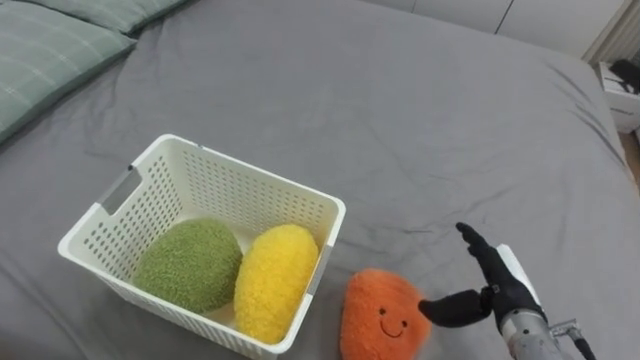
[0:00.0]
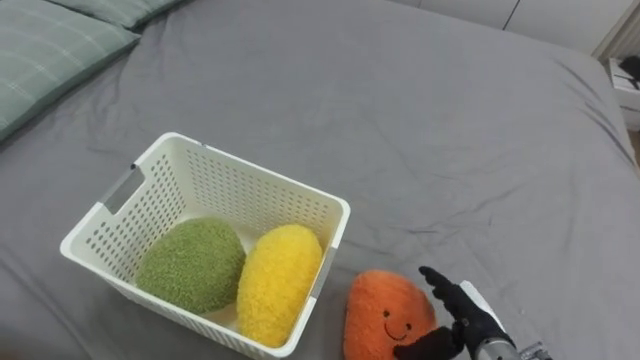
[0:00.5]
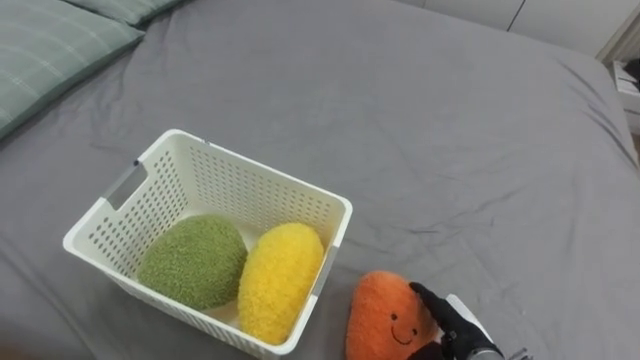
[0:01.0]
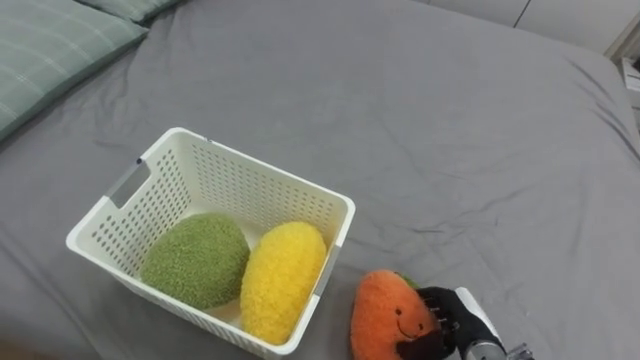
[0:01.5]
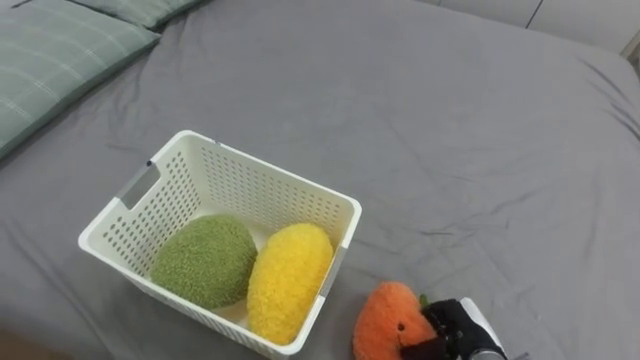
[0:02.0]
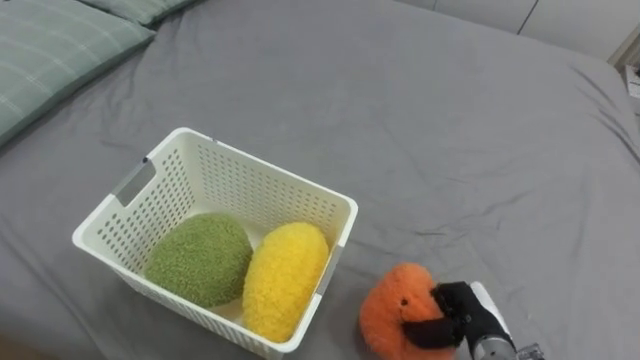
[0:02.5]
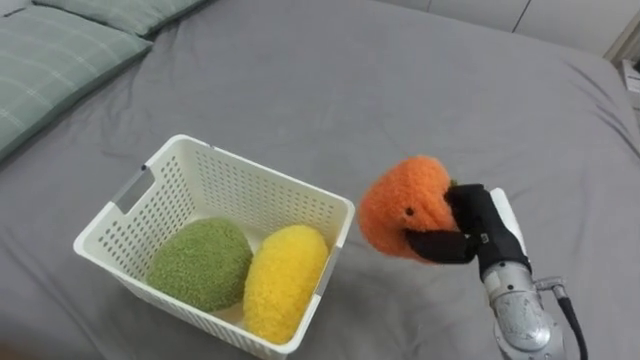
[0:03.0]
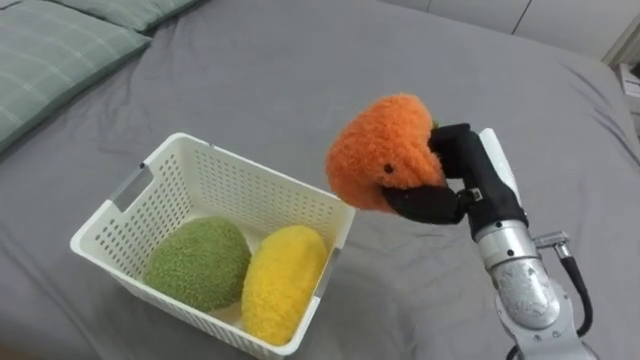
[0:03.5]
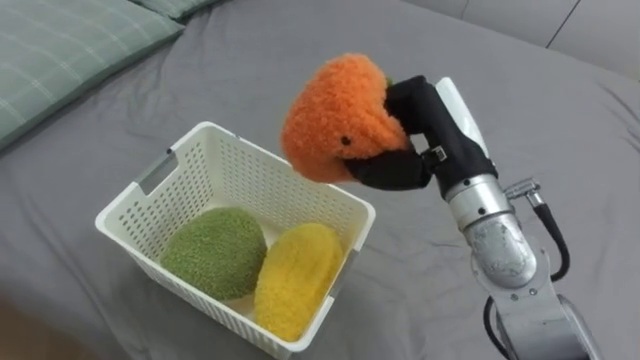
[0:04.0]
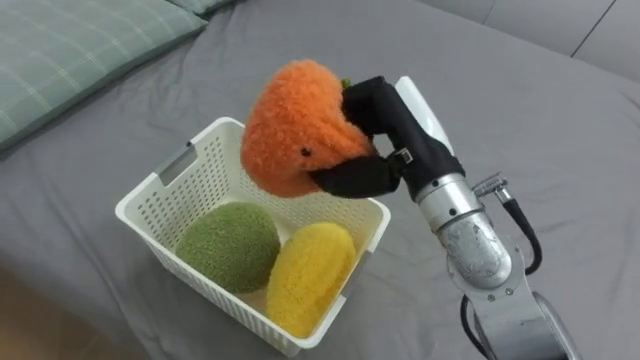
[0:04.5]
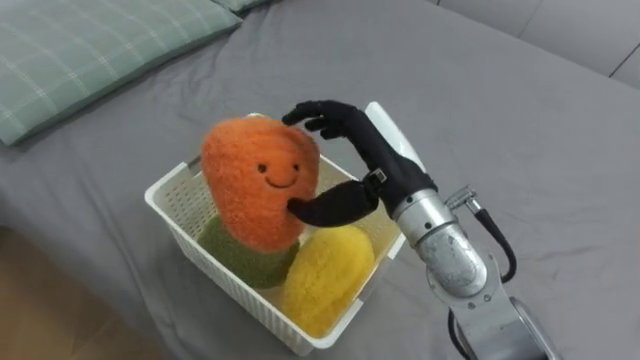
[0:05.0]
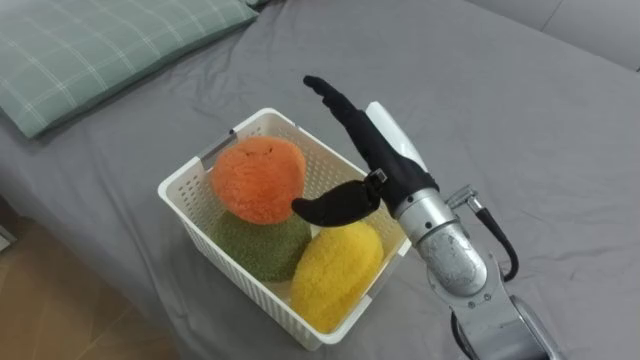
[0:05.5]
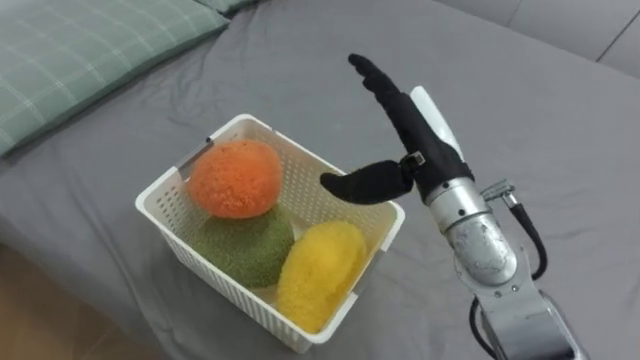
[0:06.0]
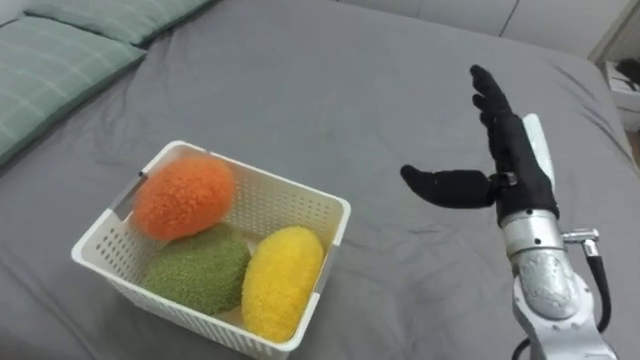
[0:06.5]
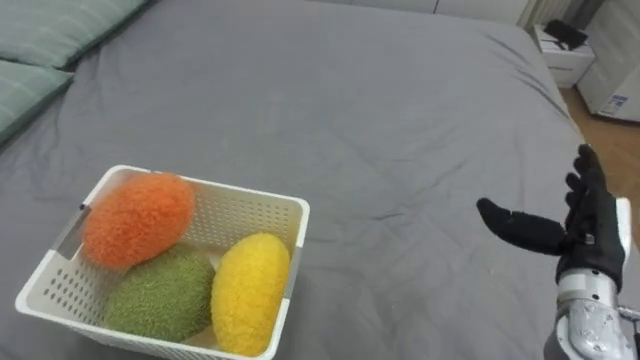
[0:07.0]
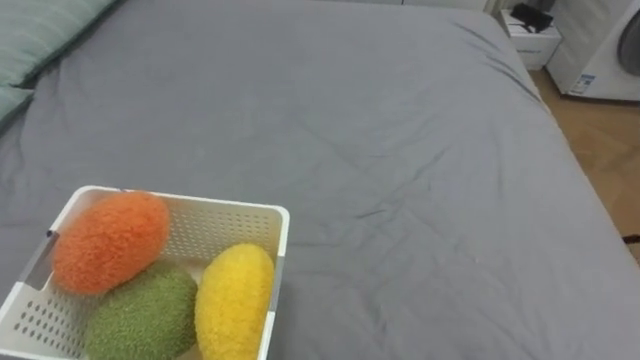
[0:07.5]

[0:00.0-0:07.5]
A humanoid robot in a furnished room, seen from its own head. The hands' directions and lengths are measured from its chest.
Task of the whole recording: Put the toys on the bed into the basket on the left.
0:00.0 to 0:02.0: The right hand shifts roughly 10 cm downward, and closes.
0:02.0 to 0:04.0: The right hand shifts approximately 30 cm upward and forward.
0:04.0 to 0:05.5: The right hand is displaced to the left by some 5 cm, and opens.

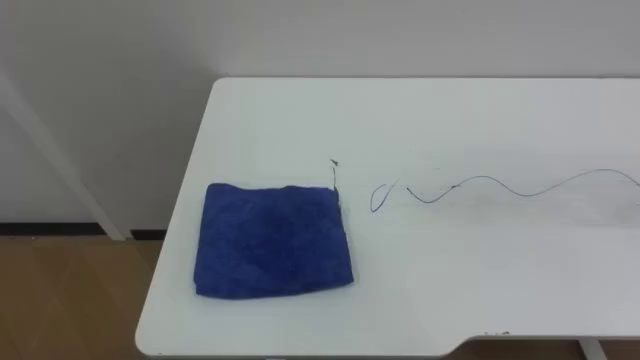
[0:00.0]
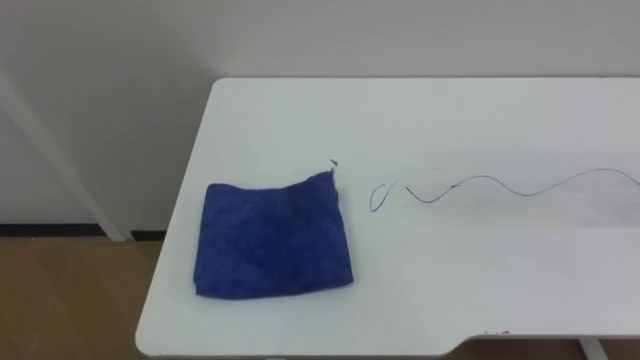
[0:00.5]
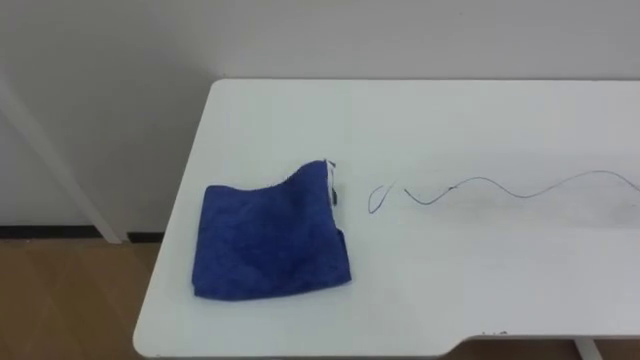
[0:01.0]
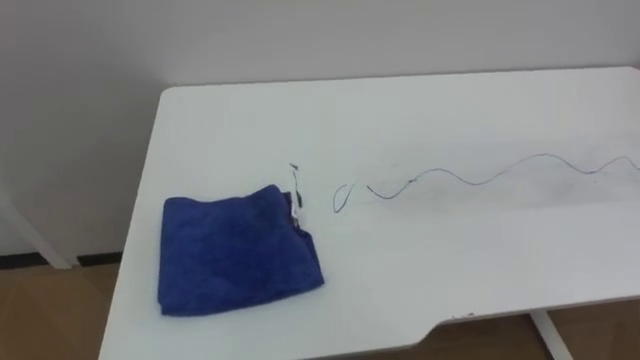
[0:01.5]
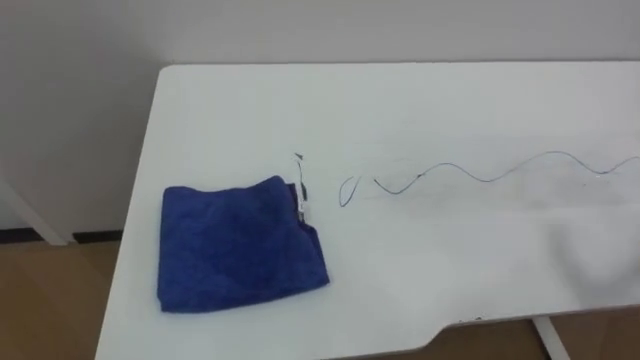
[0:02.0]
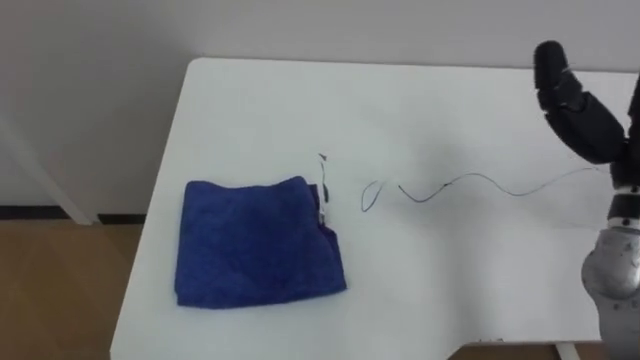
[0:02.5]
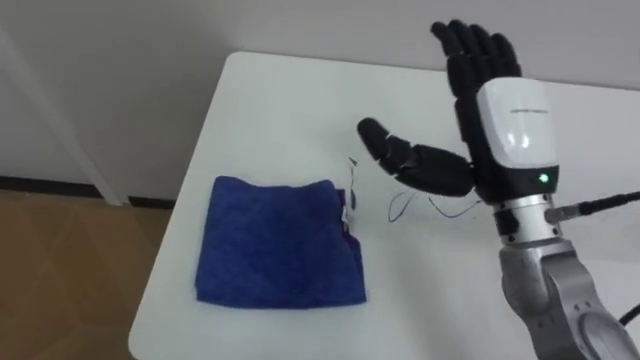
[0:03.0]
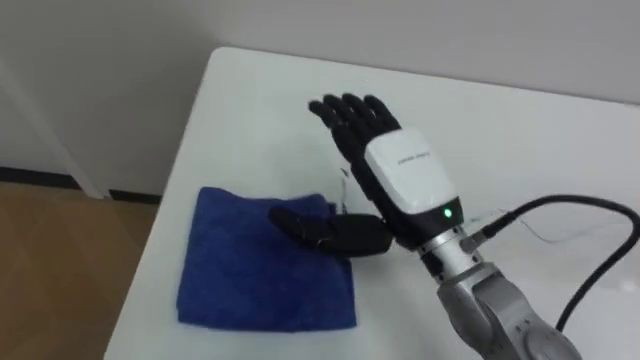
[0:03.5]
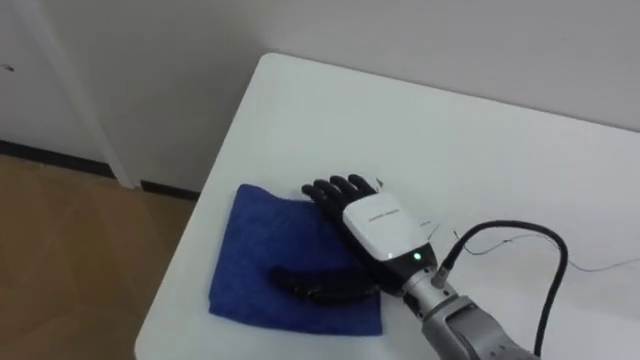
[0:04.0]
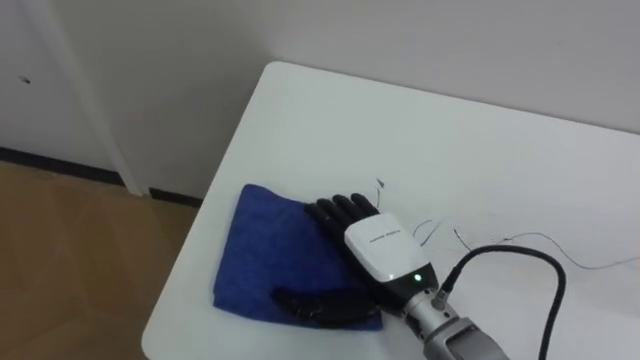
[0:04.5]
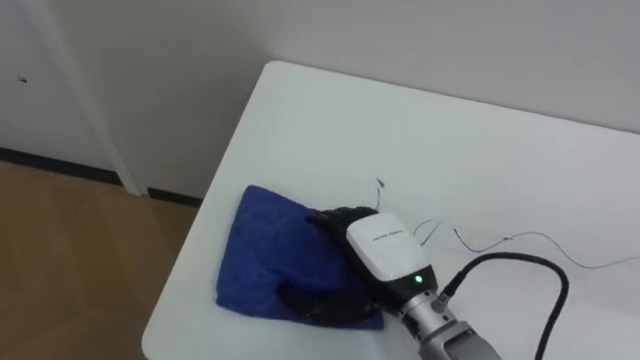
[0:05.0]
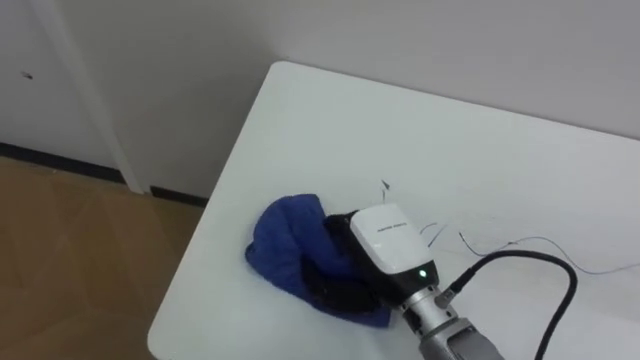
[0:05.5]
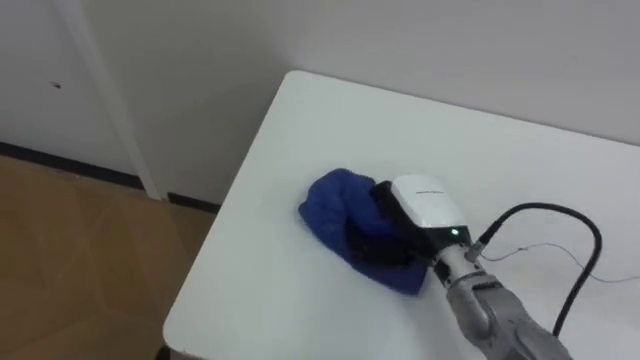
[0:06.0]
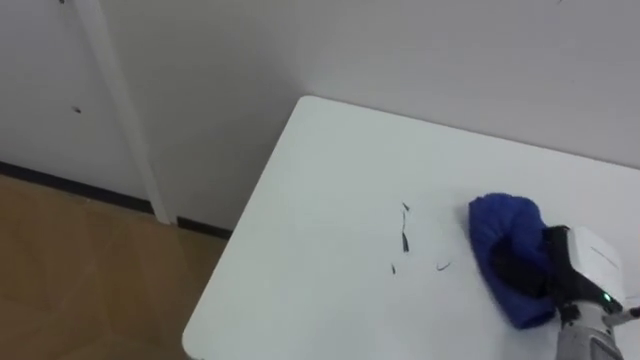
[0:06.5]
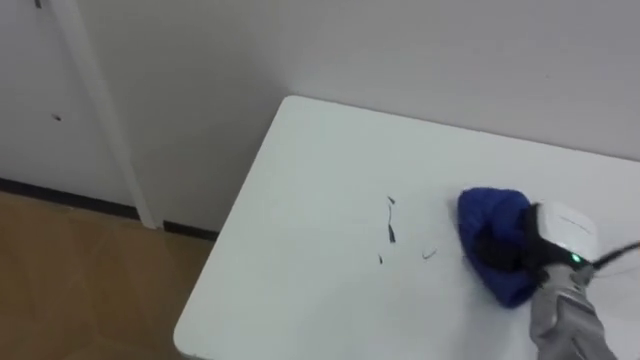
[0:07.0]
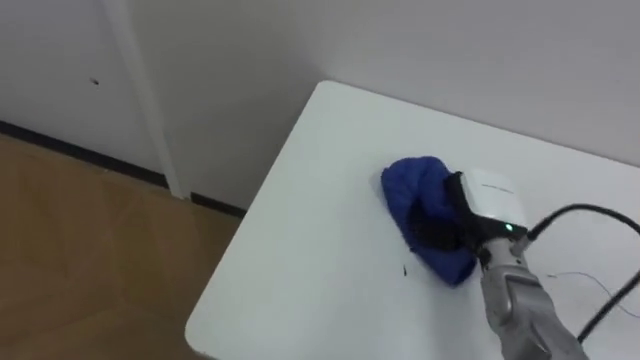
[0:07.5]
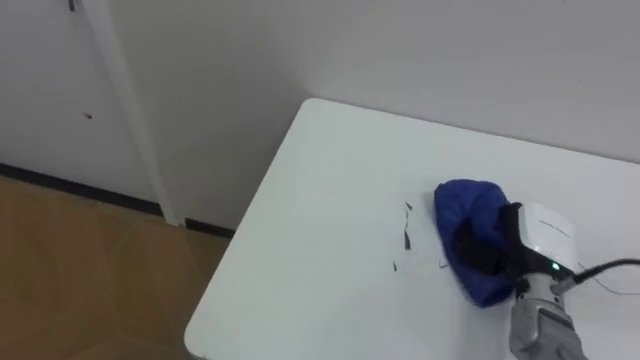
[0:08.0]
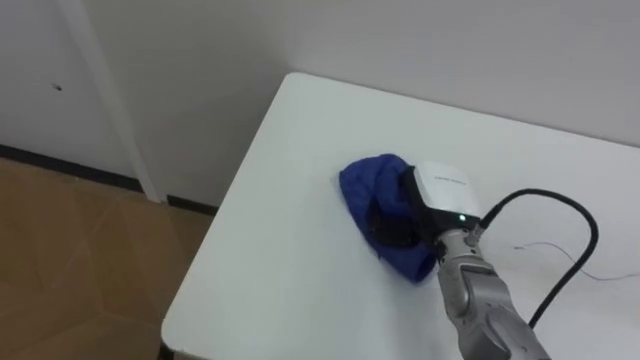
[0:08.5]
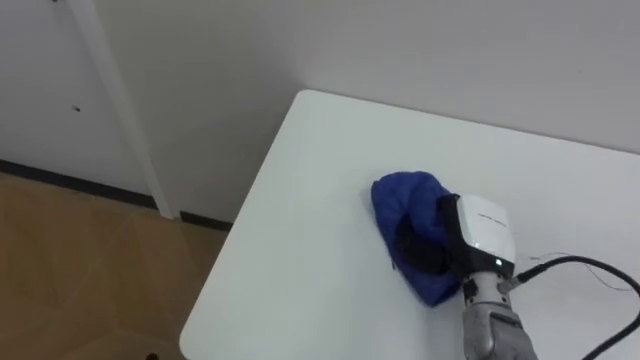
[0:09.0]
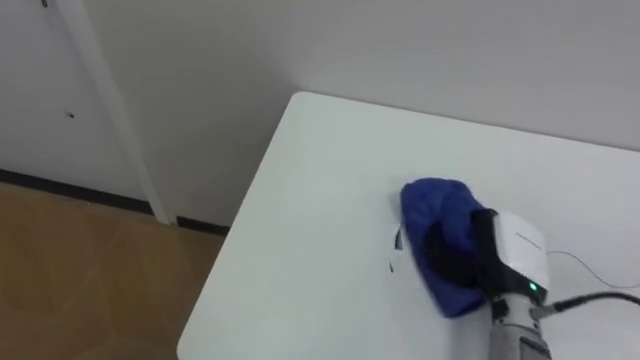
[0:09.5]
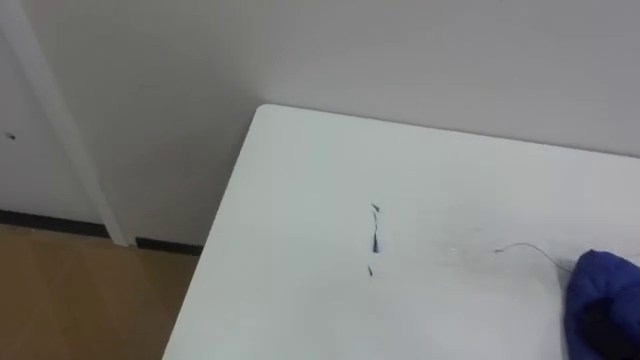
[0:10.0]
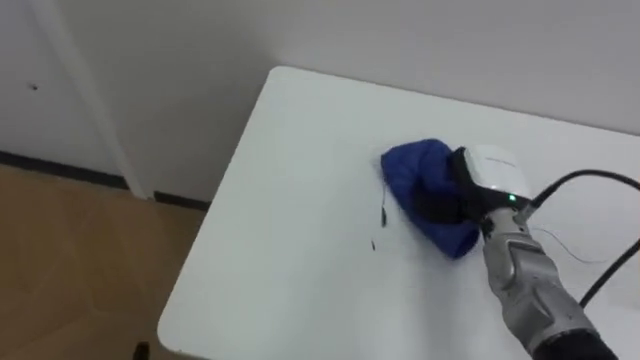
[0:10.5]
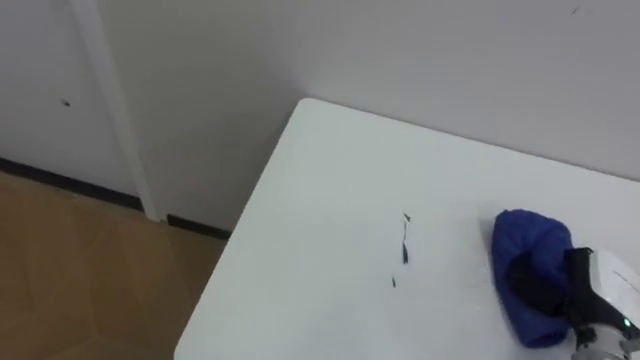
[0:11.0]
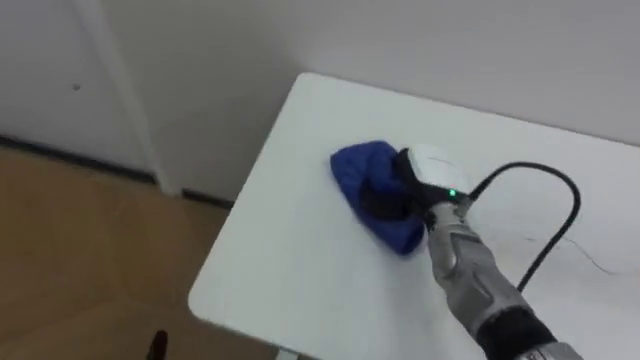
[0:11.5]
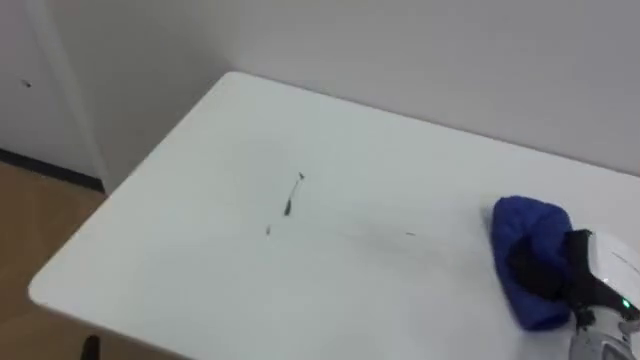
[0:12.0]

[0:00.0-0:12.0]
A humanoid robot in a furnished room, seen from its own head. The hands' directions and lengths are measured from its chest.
Task of the whole recording: Wipe the blue pen marks off the table with the rag.
0:04.0 to 0:06.0: The right hand shifts by about 5 cm, and closes up.
0:06.0 to 0:08.0: The right hand goes left and right, approximately 20 cm each way, reversing 2 times.
